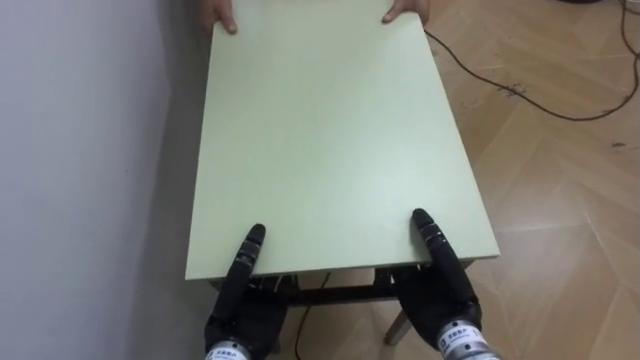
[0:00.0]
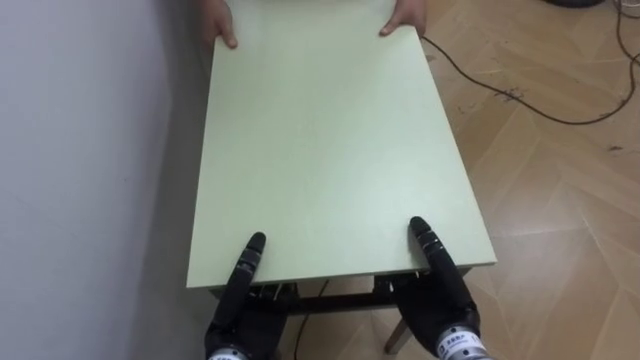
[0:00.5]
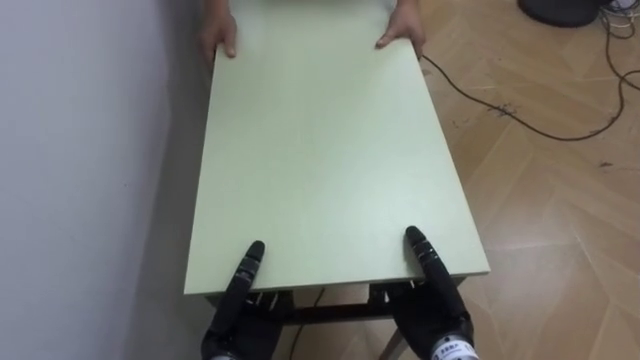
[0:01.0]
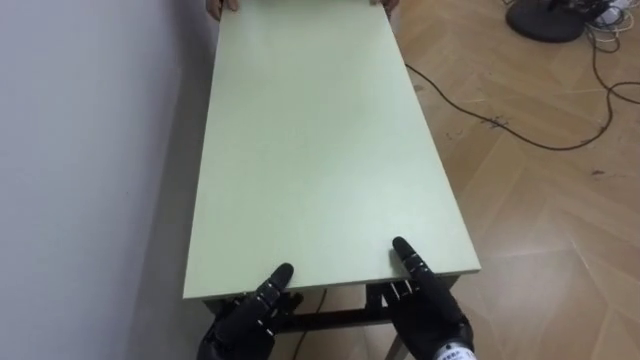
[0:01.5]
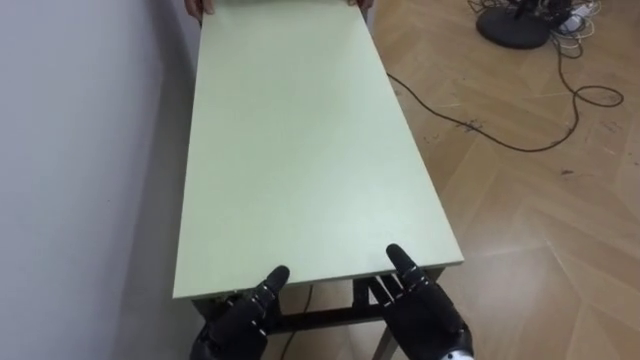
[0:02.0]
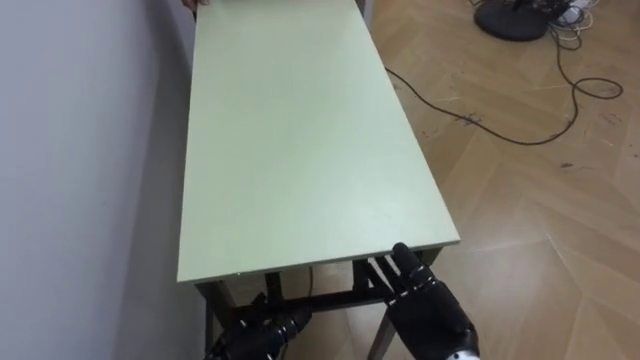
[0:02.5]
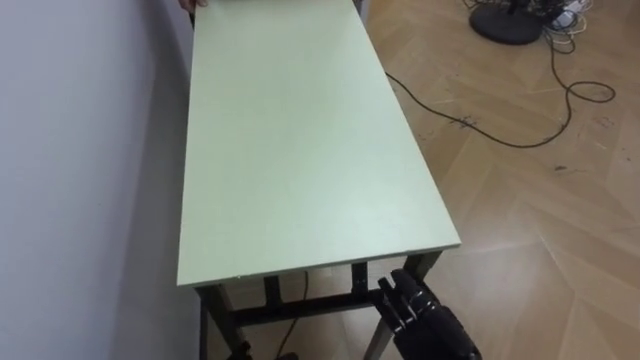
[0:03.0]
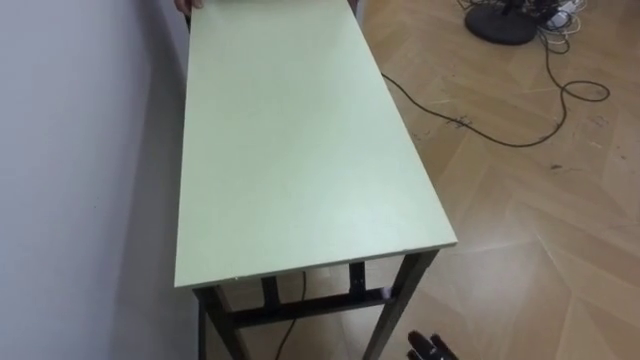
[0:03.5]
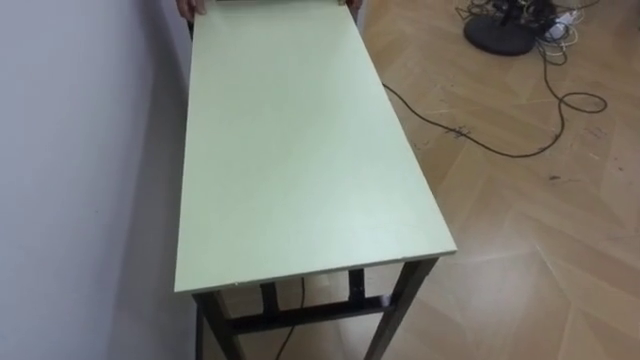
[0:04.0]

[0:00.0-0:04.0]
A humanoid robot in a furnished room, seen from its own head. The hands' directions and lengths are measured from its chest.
Task of the whole recording: Move the table to the back left with someone.
0:00.0 to 0:02.0: The left hand travels downward by some 5 cm, and opens up. Meanwhile the right hand opens.
